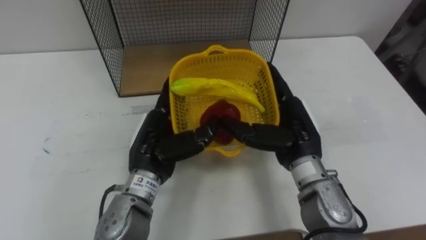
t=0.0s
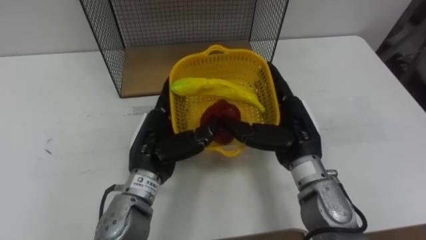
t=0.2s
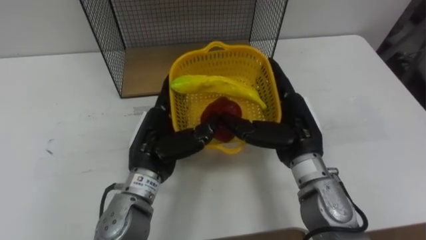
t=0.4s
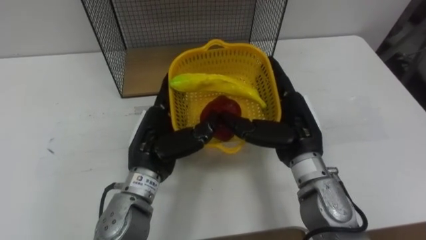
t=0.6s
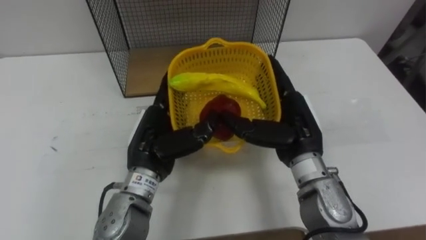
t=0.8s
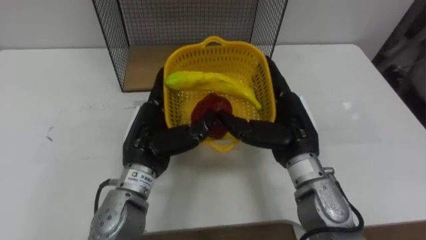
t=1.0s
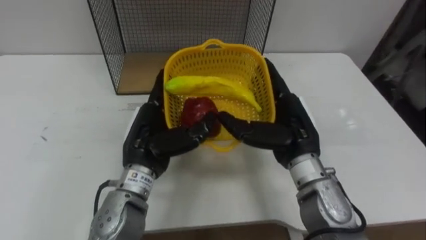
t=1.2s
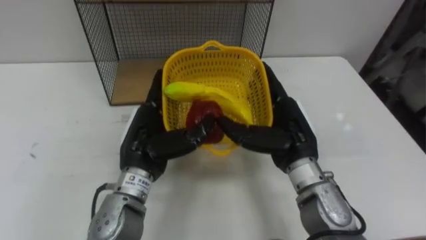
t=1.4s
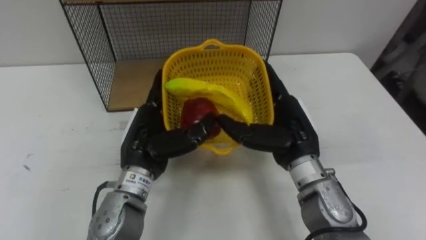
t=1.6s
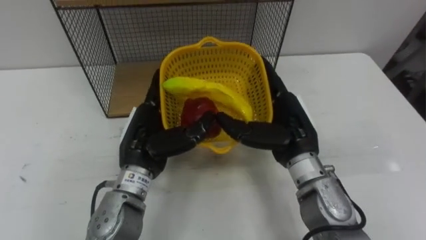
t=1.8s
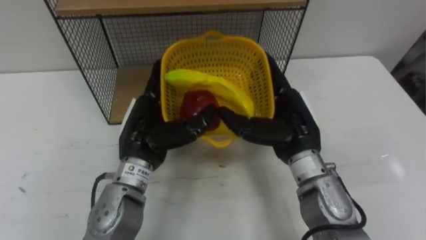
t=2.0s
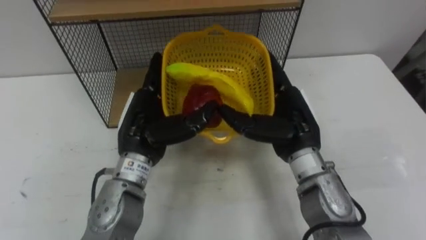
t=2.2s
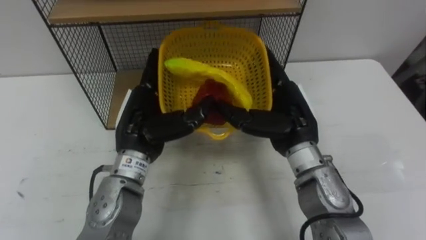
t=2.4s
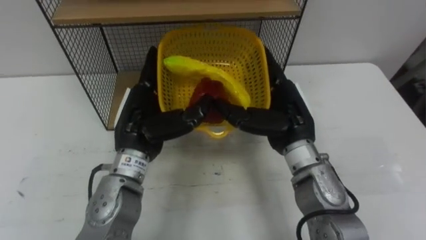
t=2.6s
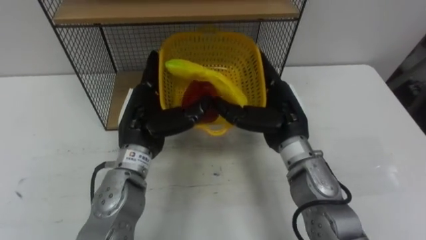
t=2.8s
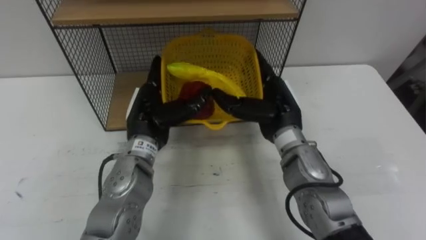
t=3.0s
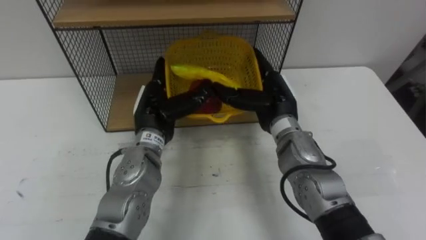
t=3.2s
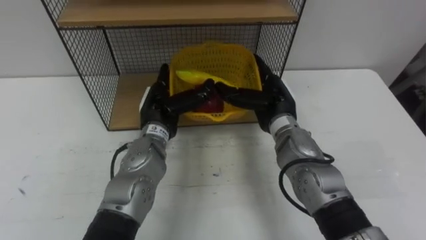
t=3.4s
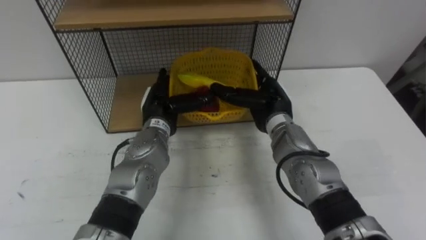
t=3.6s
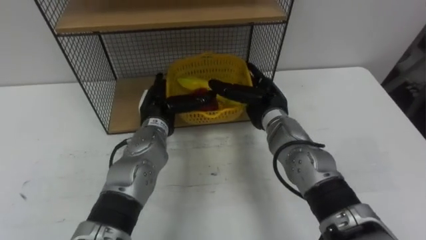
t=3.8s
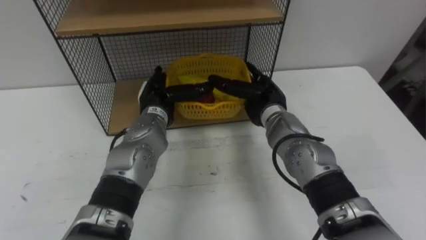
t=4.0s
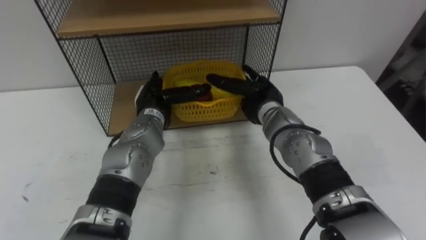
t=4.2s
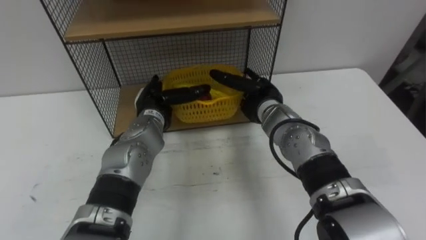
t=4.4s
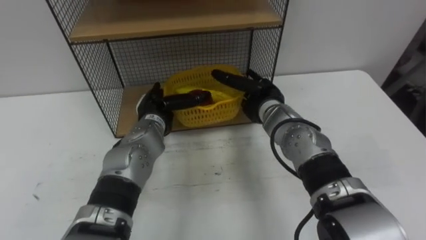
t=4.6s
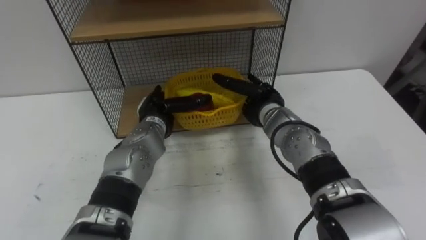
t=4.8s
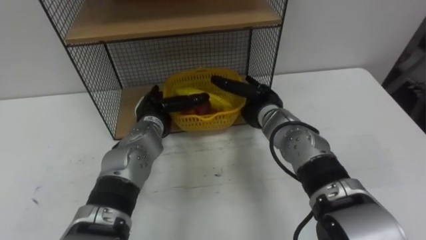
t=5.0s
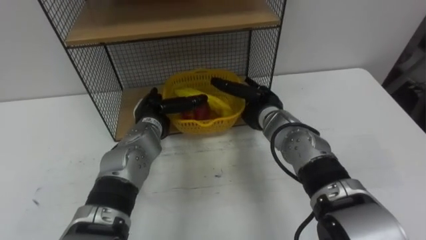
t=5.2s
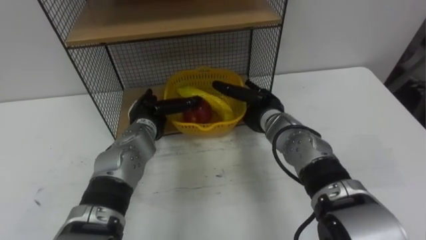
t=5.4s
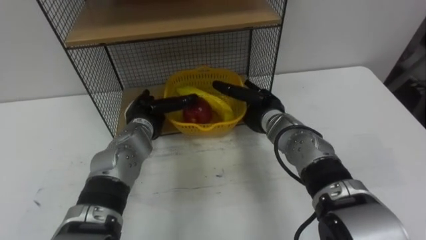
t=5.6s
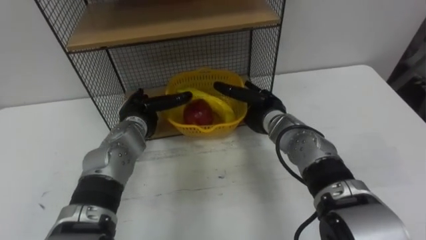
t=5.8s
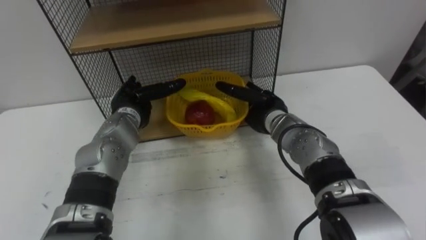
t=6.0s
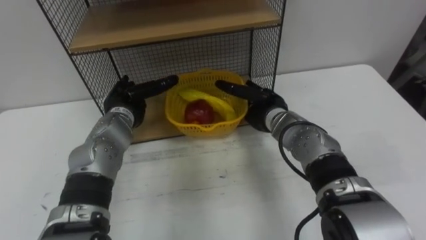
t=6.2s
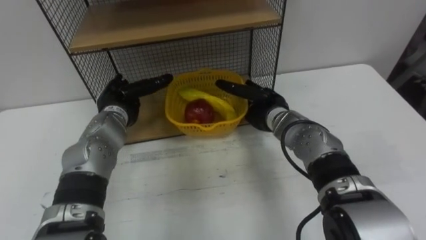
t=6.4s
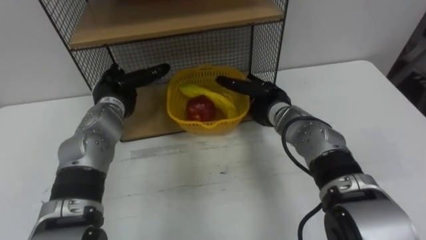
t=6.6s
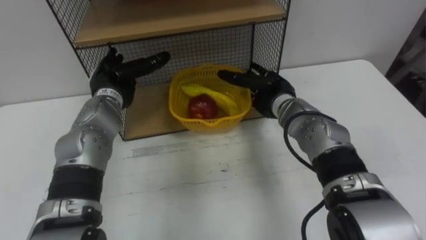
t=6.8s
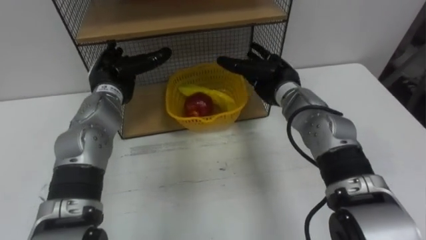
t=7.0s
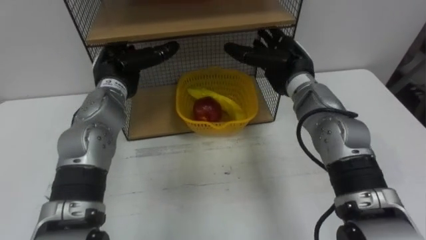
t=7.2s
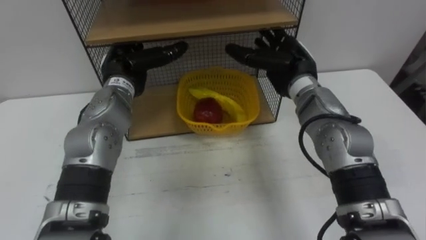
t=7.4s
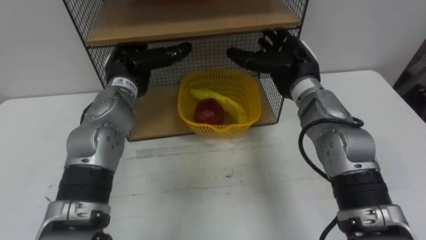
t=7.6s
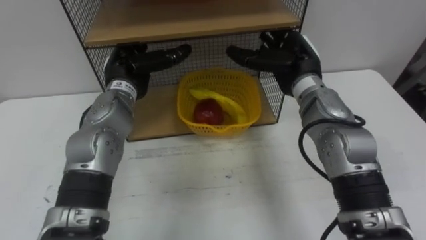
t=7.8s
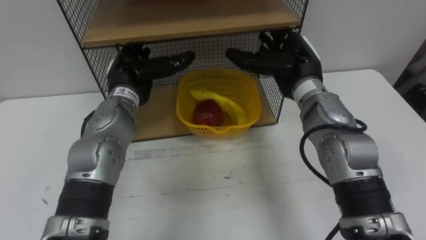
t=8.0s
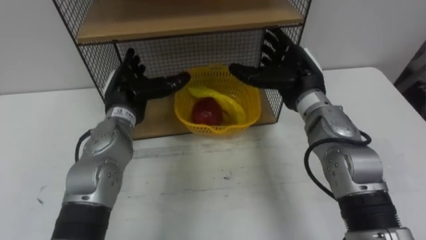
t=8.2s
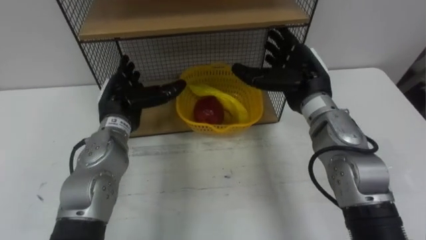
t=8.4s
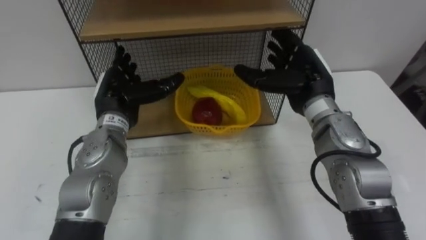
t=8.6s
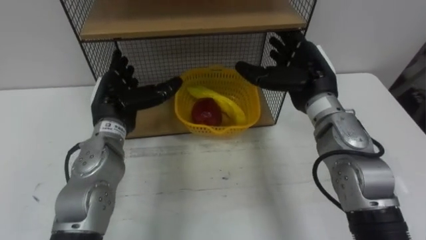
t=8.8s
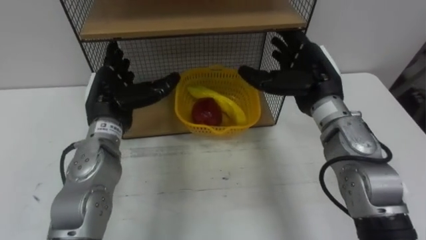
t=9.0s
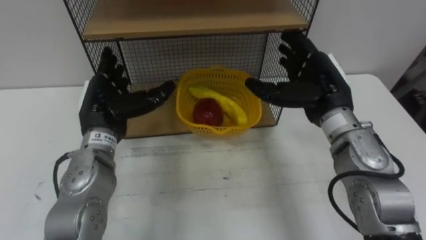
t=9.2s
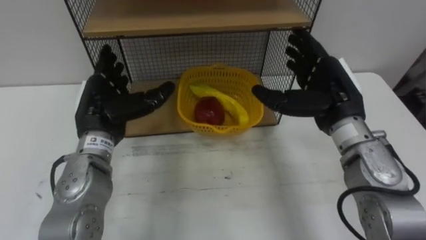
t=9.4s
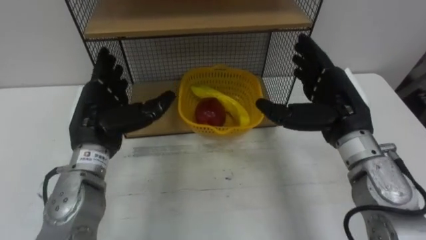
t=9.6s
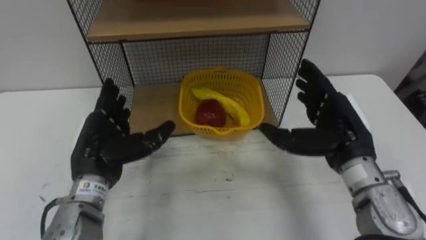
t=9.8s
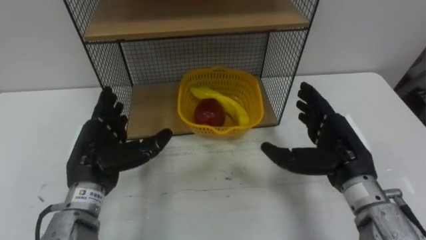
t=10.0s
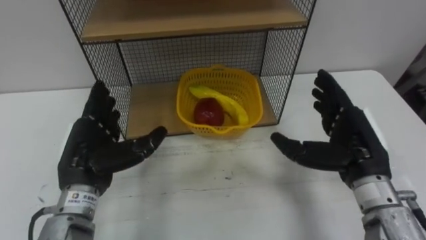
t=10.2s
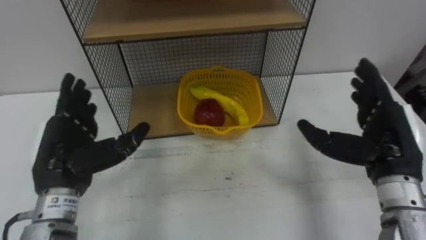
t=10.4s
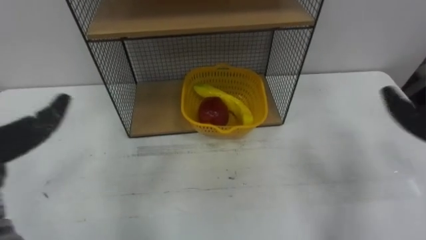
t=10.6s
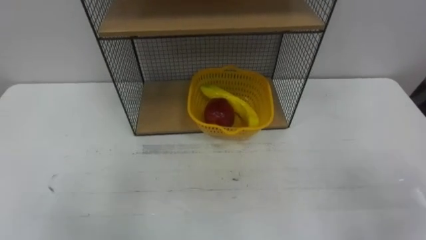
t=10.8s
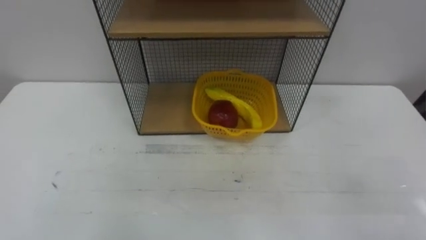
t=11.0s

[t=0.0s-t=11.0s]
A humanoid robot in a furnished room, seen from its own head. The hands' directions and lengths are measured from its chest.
Task of the whole recording: Put the fruit on the table into the basket, then place the basket on the shelf.
t=1.6s to t=3.2s: The two hands go roughly 5 cm forward.
t=3.2s to t=4.8s: The right hand shifts by about 5 cm; the left hand goes approximately 5 cm downward.
t=4.8s to t=6.2s: The left hand goes approximately 5 cm to the left.
t=6.2s to t=7.8s: The left hand is displaced upward by about 10 cm. Meanwhile the right hand goes about 10 cm upward.
t=7.8s to t=9.4s: The right hand heads backward and to the right, covering about 10 cm. Meanwhile the left hand shifts roughly 10 cm backward.

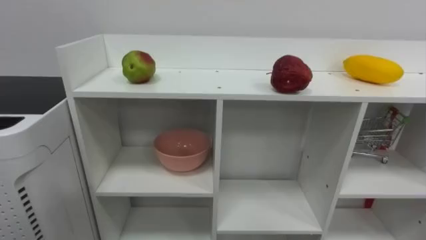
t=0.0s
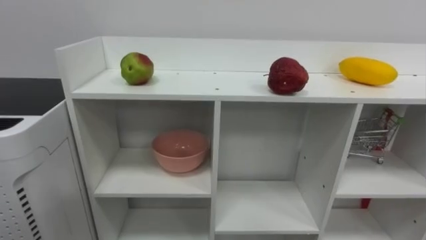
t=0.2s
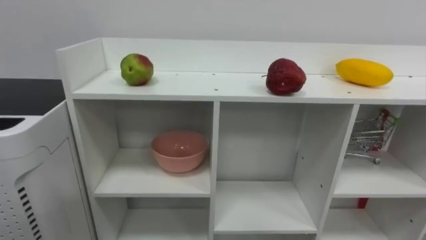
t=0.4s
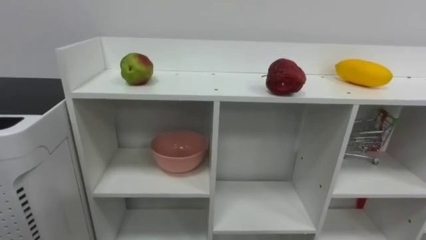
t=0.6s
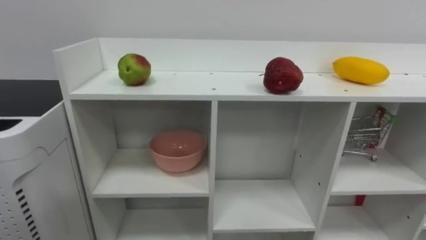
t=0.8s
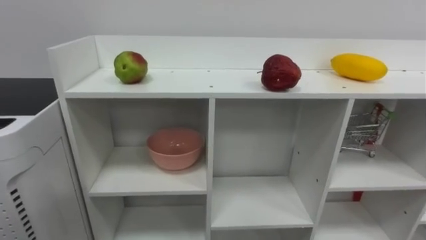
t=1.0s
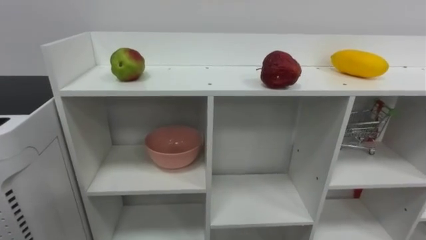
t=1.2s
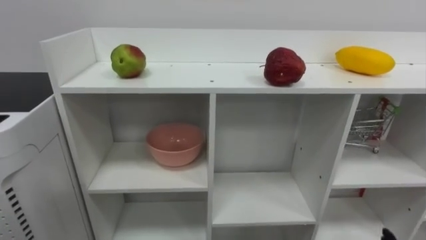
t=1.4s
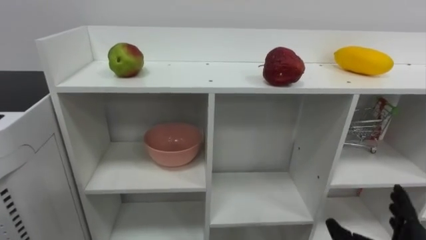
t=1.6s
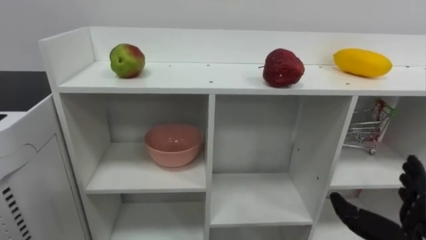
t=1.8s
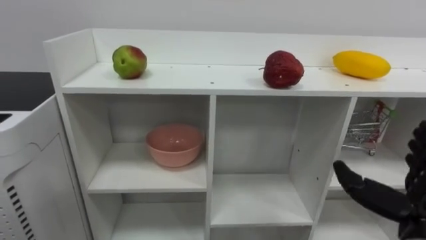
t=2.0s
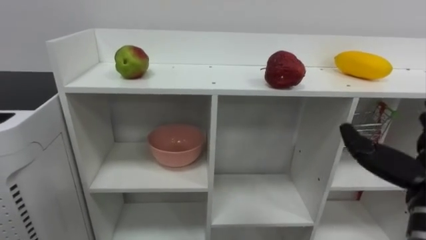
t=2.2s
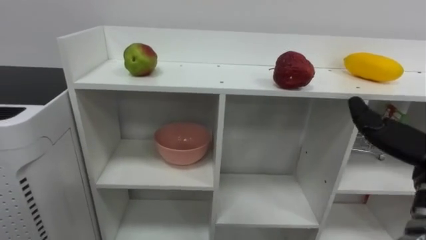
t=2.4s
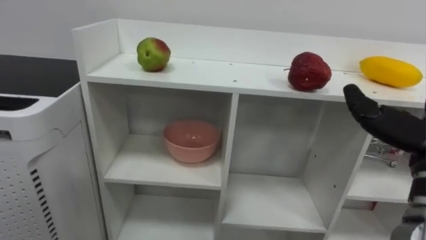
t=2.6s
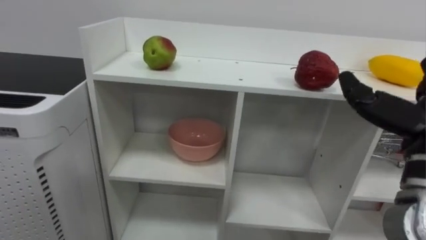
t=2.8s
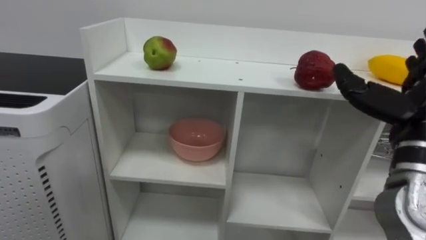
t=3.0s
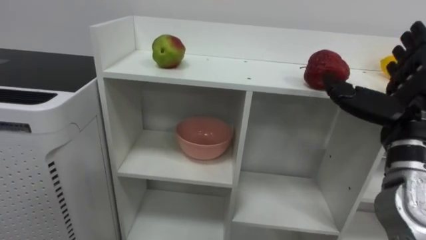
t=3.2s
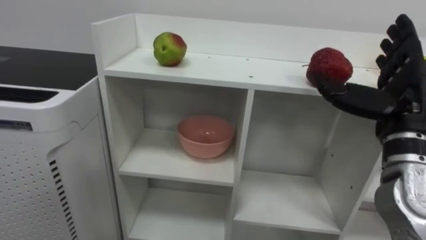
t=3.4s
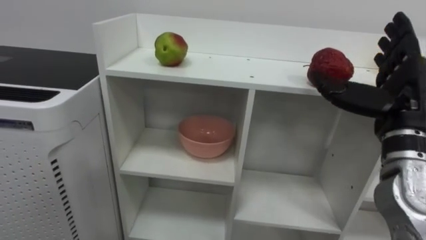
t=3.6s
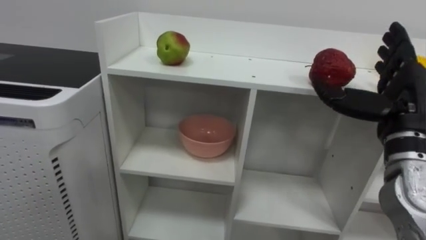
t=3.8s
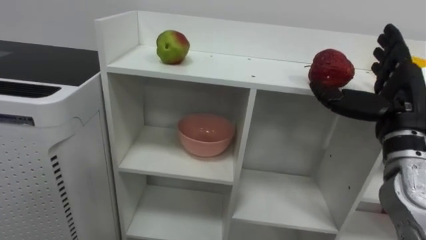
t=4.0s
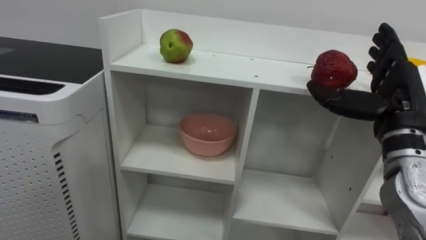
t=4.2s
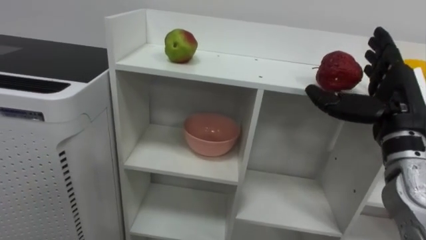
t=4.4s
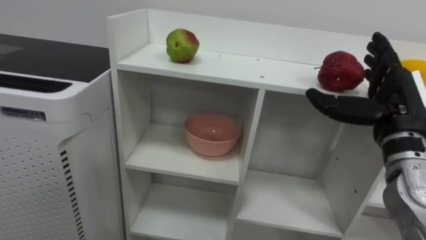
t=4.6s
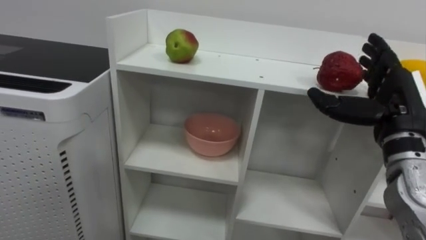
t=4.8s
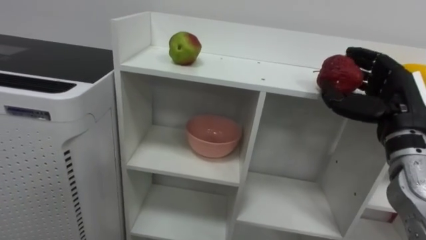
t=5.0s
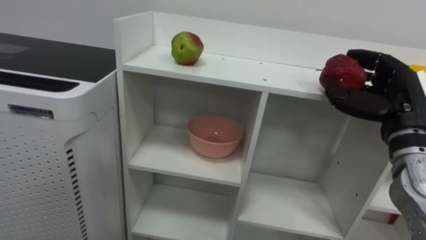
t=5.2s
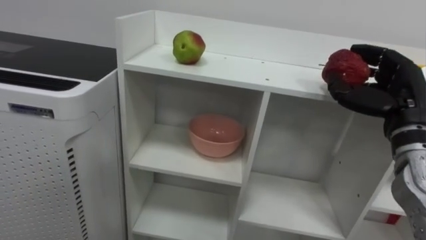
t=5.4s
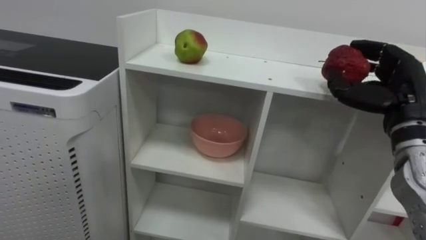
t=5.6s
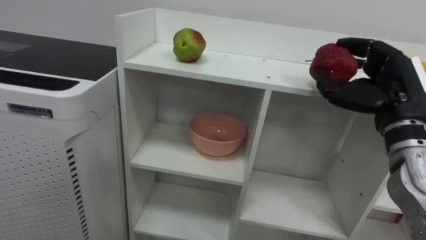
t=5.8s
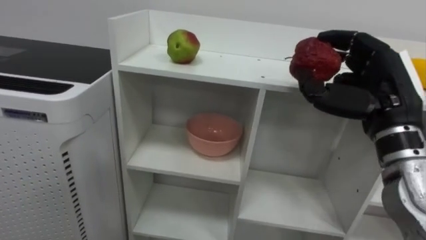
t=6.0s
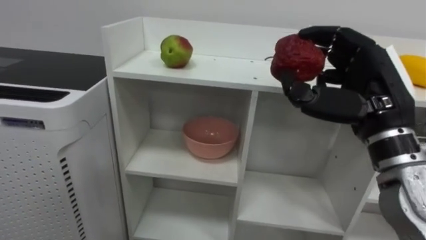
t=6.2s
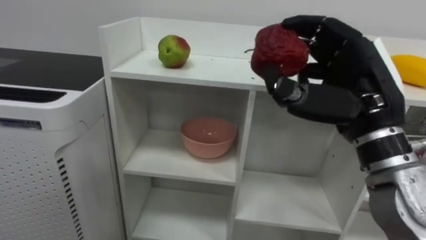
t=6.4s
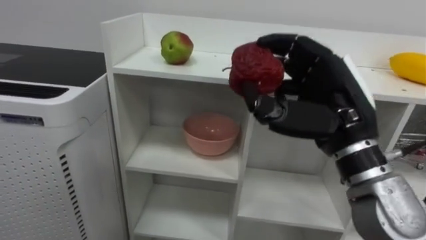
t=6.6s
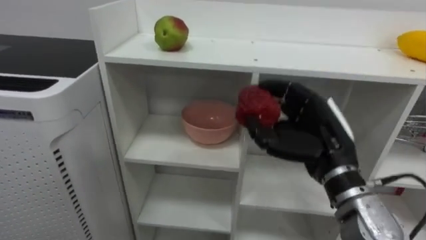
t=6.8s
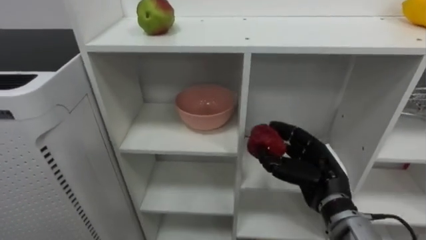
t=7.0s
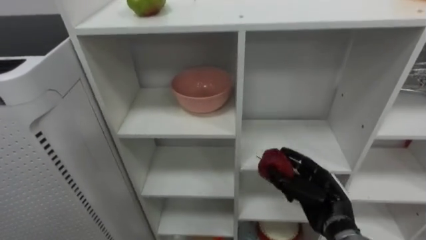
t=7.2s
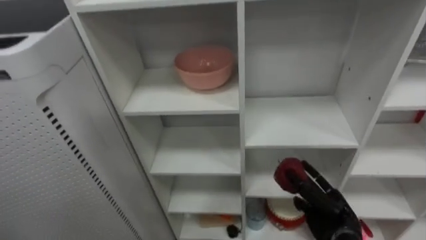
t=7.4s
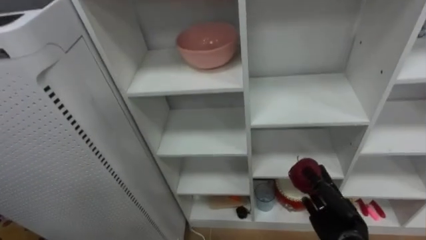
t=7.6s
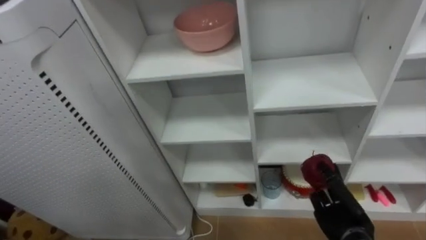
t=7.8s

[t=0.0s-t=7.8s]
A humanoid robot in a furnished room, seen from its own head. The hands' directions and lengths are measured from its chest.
Task of the whole recording: Put the apple in the cell in the second column from the left and the second row from the top.
t=4.6s to t=6.2s: The right hand is displaced to the left by approximately 5 cm, and closes.
t=6.2s to t=7.8s: The right hand shifts about 30 cm downward.
